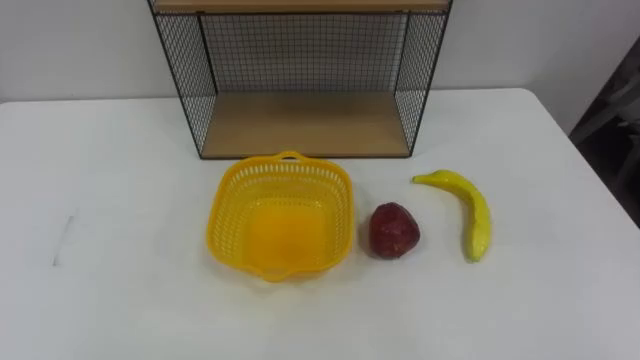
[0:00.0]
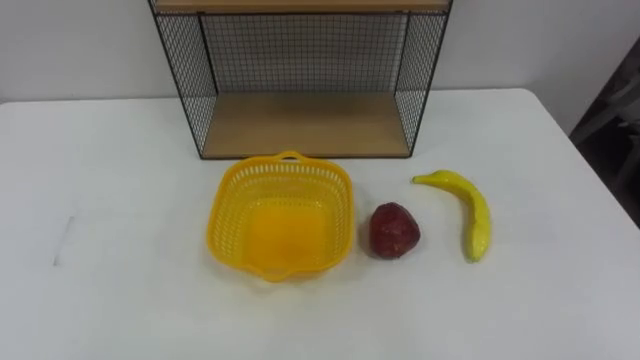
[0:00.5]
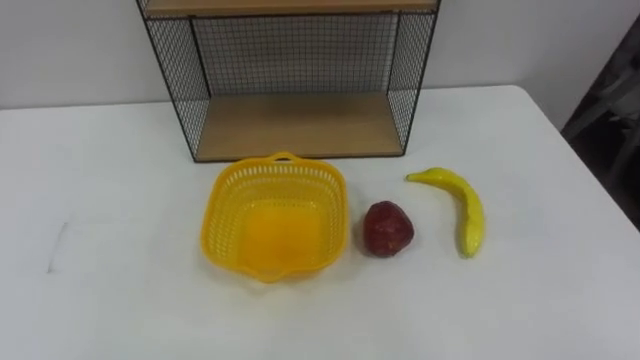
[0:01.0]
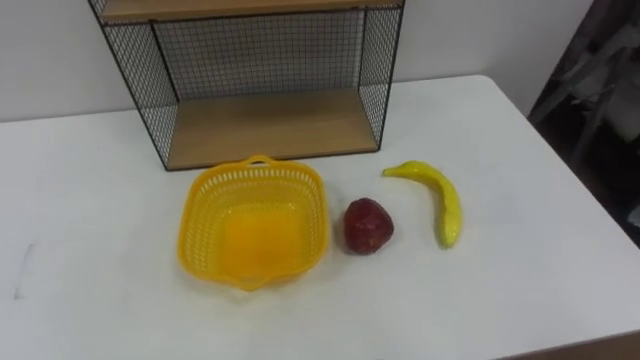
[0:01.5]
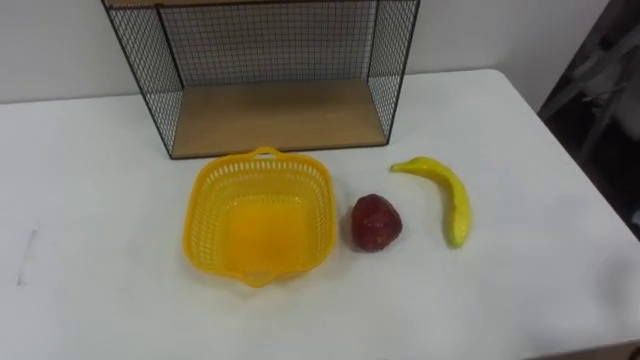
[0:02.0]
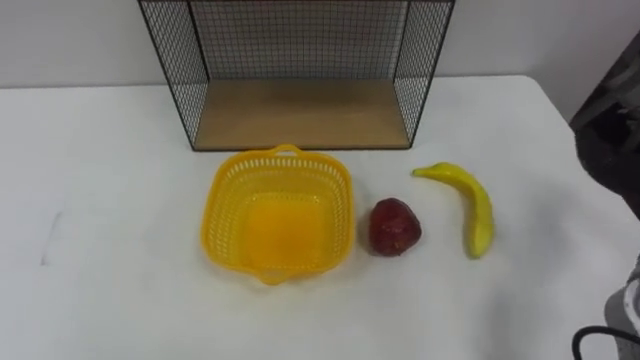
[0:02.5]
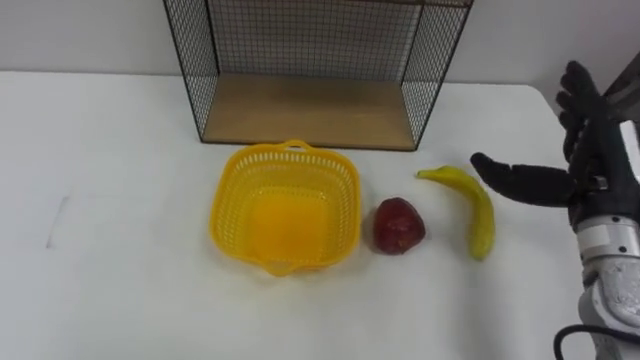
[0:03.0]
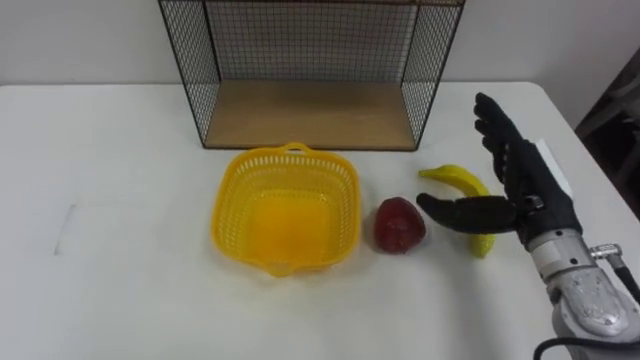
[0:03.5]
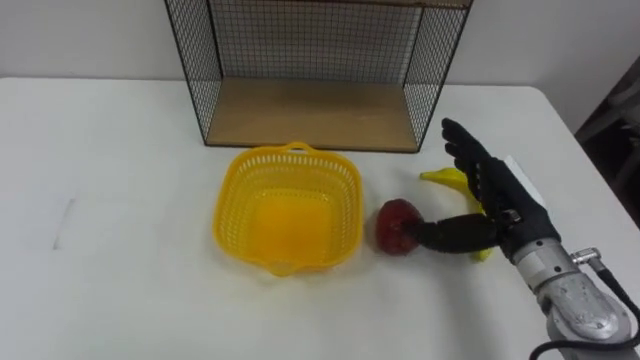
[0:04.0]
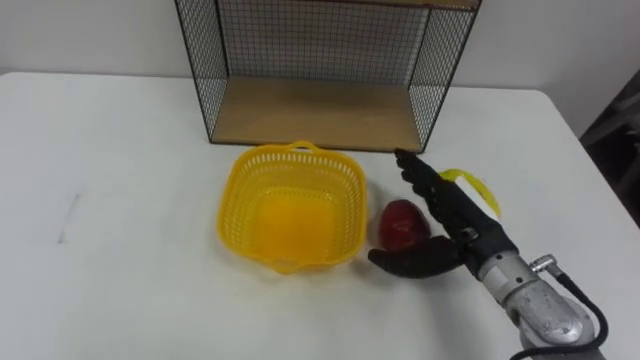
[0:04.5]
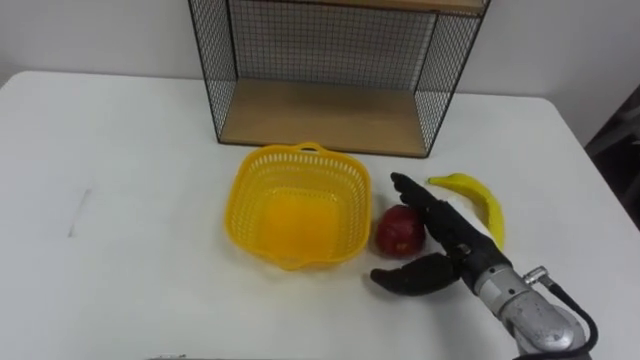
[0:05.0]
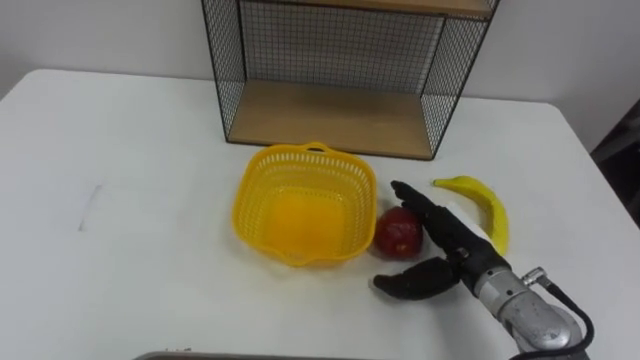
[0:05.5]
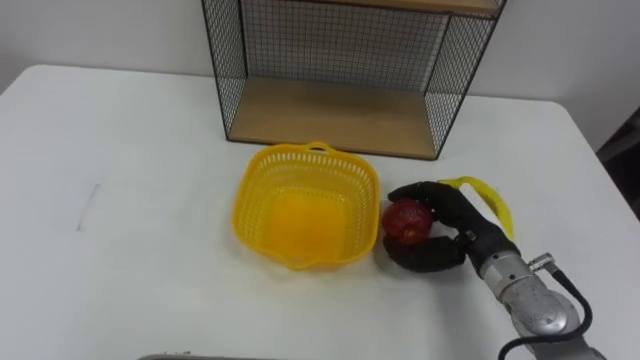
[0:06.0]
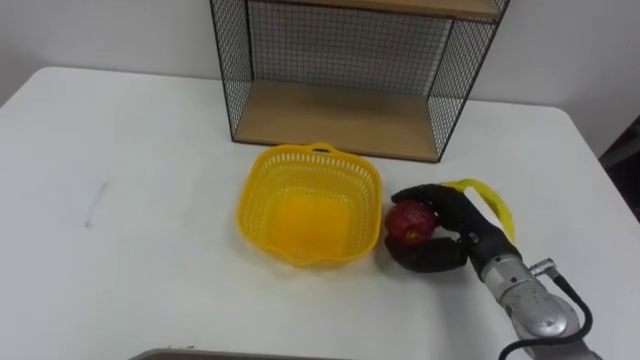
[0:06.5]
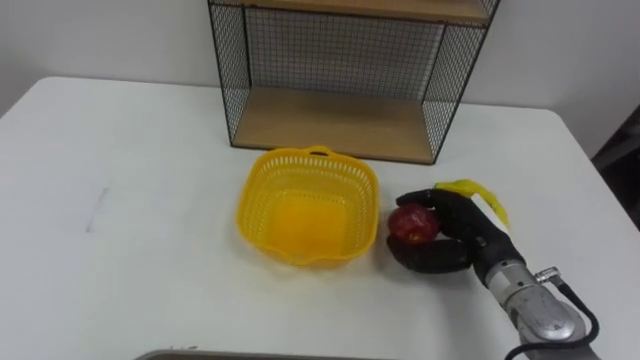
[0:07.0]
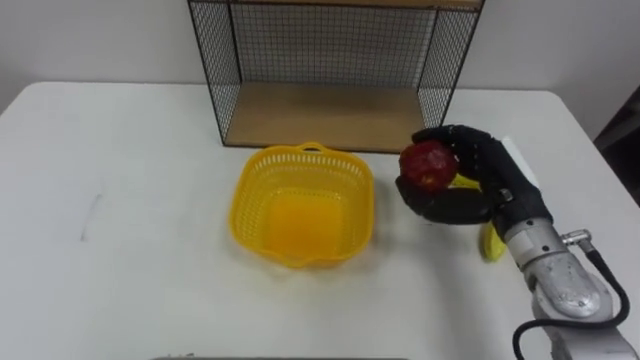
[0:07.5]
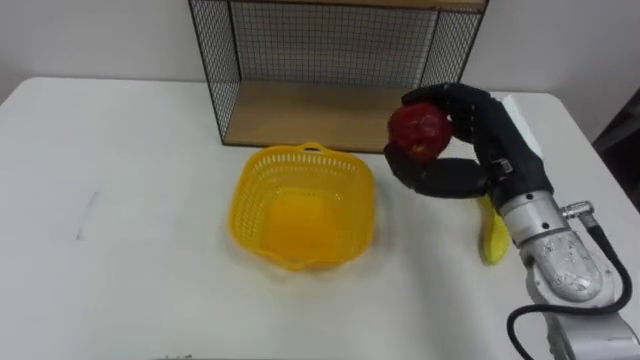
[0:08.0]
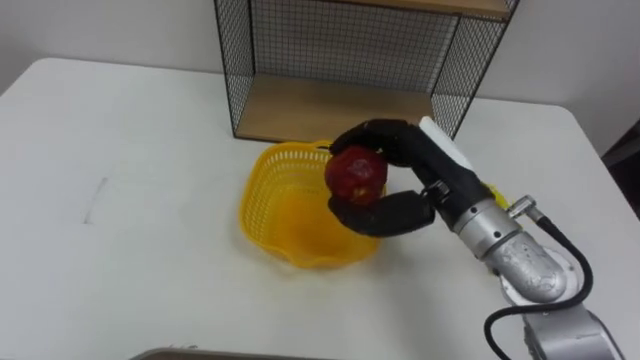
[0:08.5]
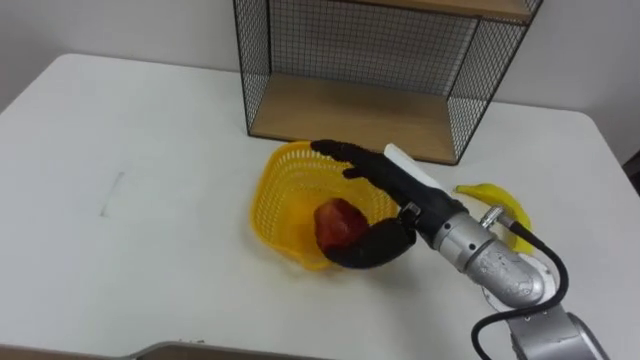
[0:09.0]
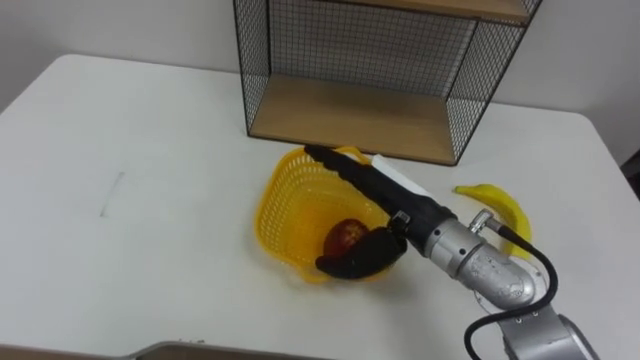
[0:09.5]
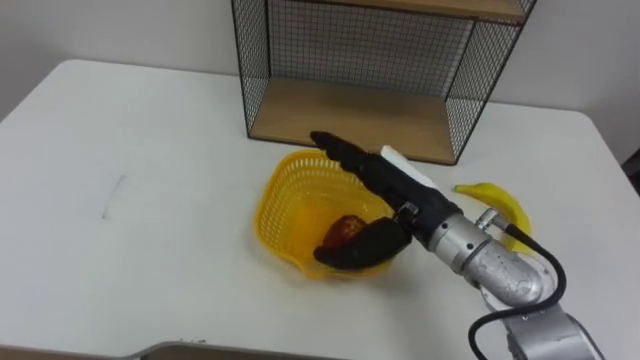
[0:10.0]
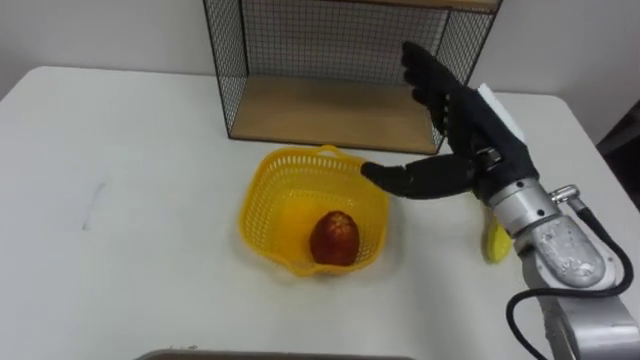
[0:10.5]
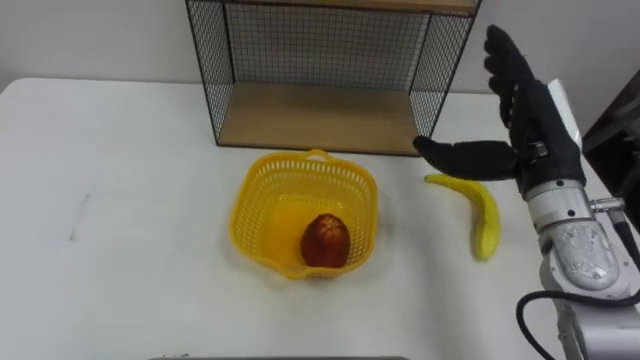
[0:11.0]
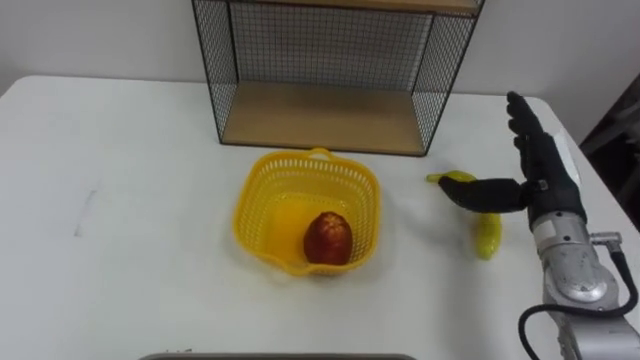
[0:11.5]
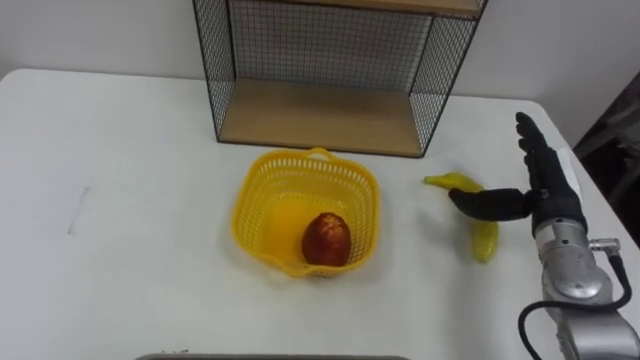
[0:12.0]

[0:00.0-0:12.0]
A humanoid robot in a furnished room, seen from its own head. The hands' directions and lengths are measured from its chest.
Task of the whole recording: Put the fruit on the table into the basket, then place the basket on the shelf.
0:04.0 to 0:06.0: The right hand heads downward, covering about 5 cm, and closes up.
0:06.0 to 0:08.0: The right hand moves upward, about 10 cm.
0:08.0 to 0:10.0: The right hand shifts about 10 cm to the left, and opens.
0:10.0 to 0:12.0: The right hand shifts some 20 cm to the right.

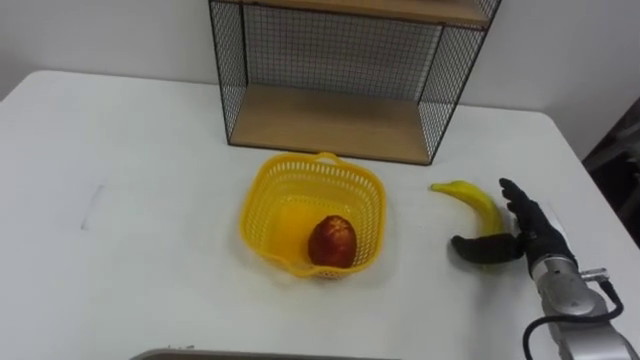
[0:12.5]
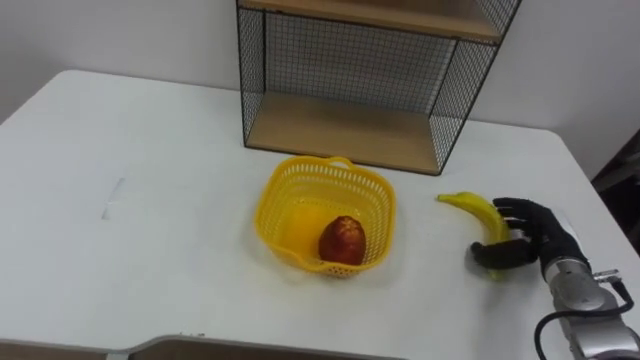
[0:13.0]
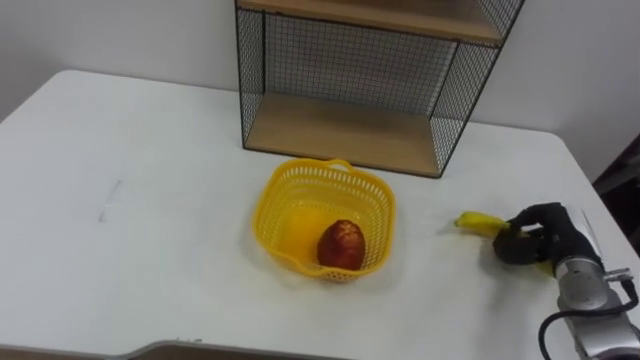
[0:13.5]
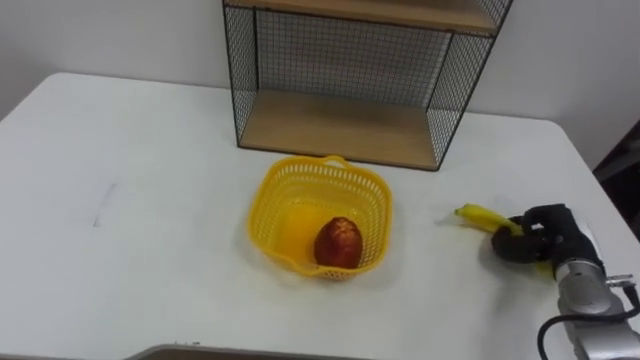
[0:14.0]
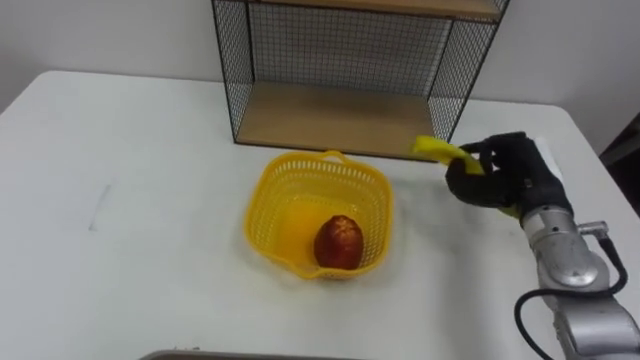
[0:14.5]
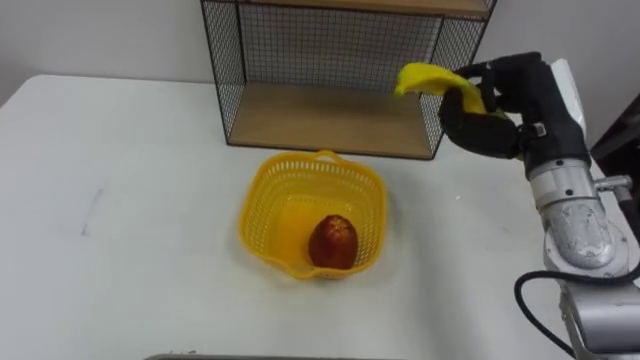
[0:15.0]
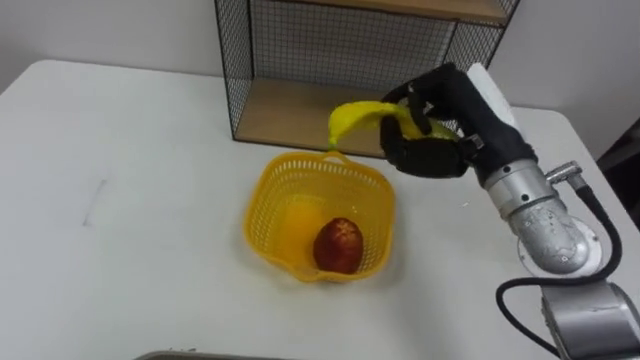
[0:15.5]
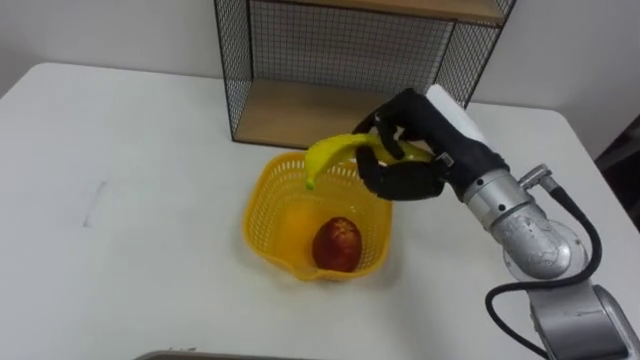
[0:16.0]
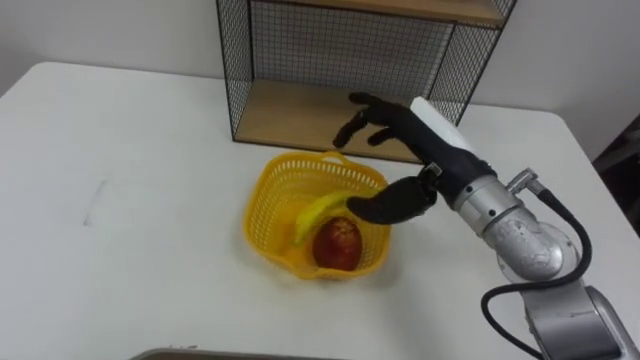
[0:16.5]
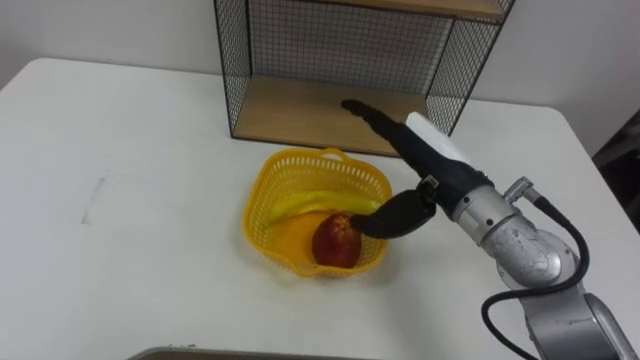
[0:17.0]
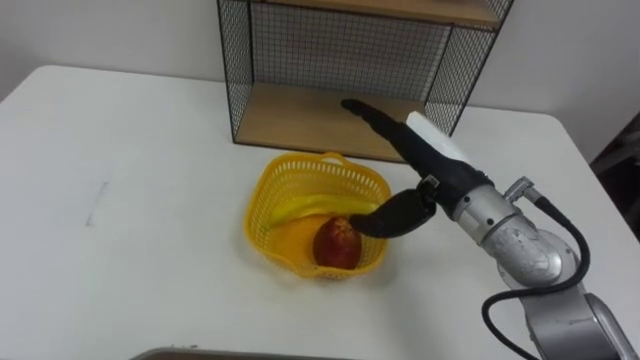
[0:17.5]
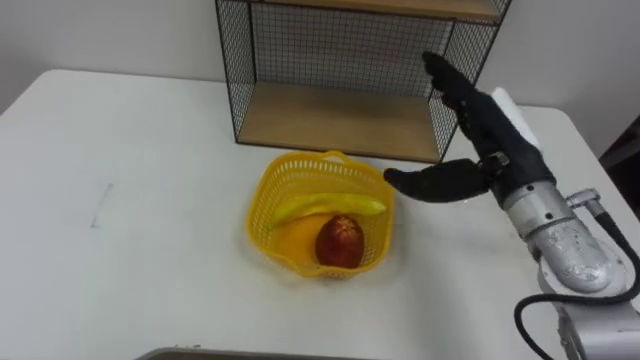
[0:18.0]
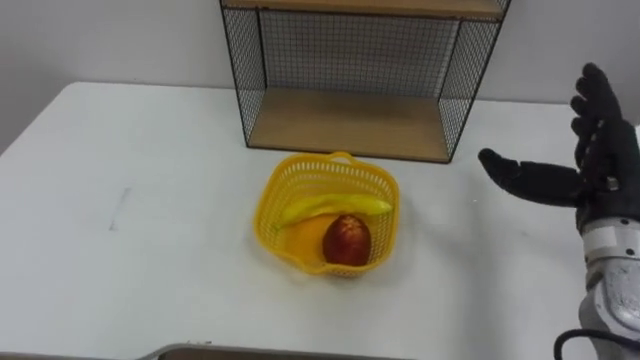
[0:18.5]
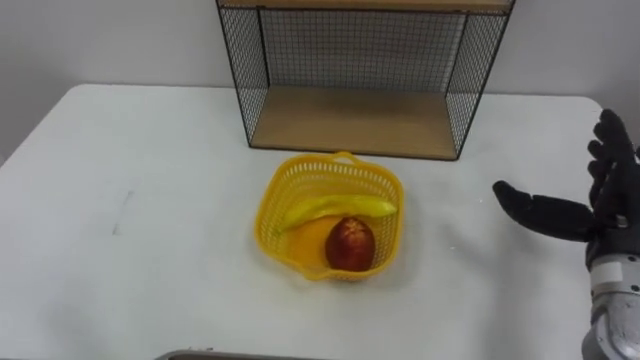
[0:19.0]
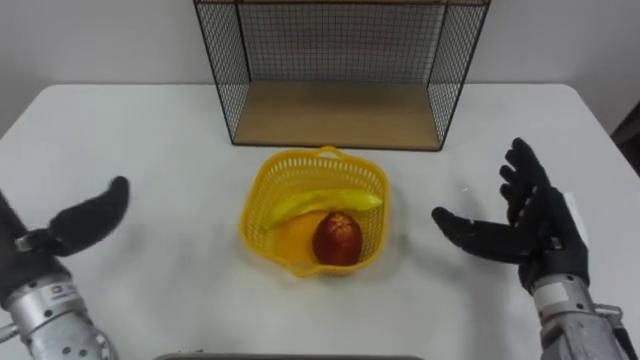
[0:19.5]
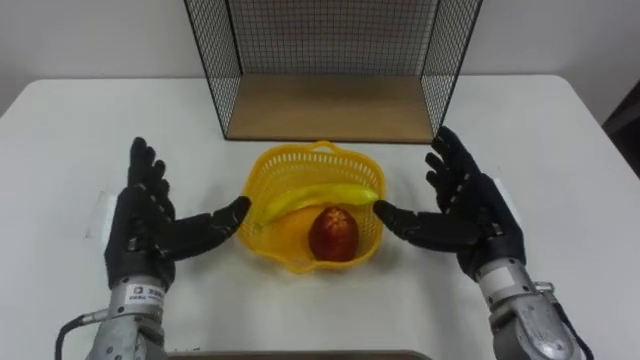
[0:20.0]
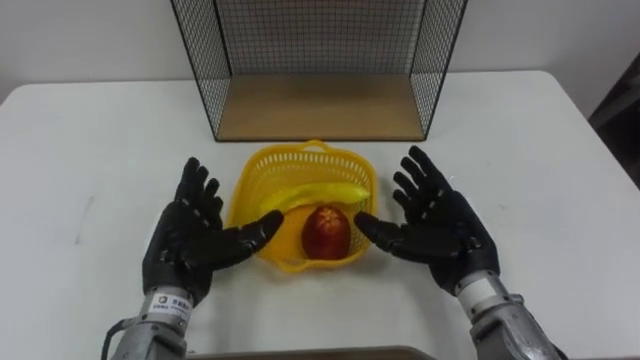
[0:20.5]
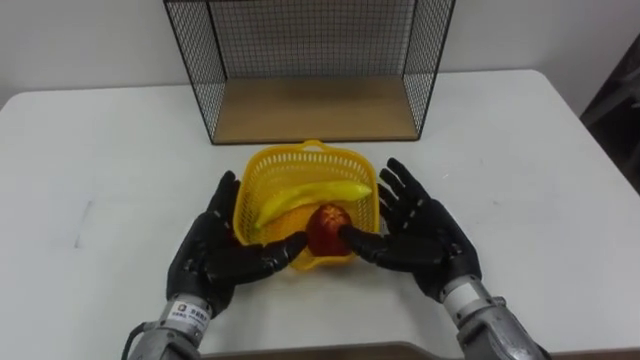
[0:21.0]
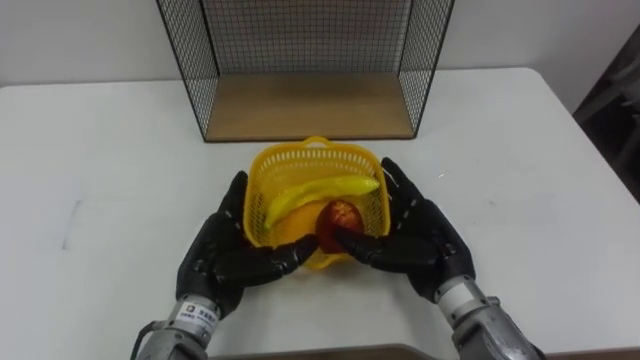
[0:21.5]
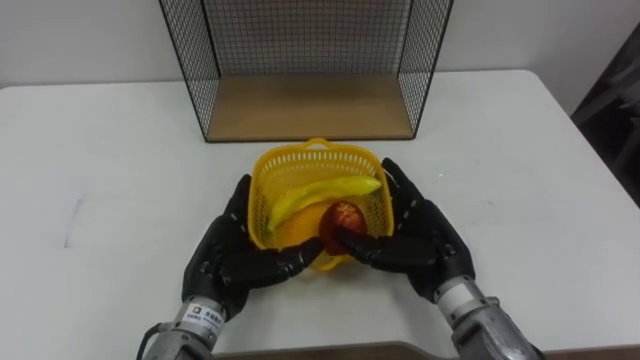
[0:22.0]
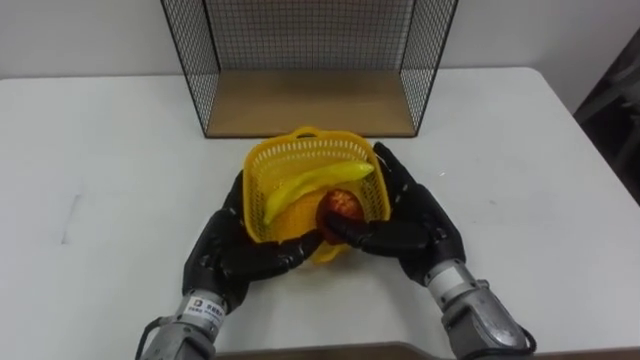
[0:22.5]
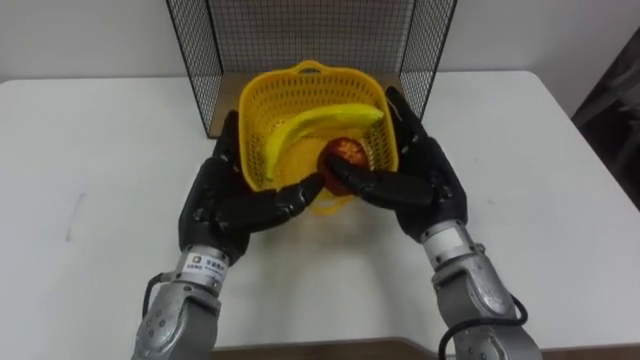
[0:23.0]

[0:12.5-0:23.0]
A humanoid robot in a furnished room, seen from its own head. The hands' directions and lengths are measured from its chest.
Task of the whole recording: Put the fruit on the table into the basket, then place the basket on the shelf.
0:12.5 to 0:14.5: The right hand moves upward, about 10 cm, and closes up.
0:14.5 to 0:16.5: The right hand heads to the left and upward, covering approximately 15 cm, and opens.
0:16.5 to 0:19.0: The right hand travels to the right by some 20 cm.
0:19.0 to 0:21.0: The right hand shifts about 20 cm to the left and downward.
0:21.0 to 0:23.0: Both hands move upward, some 5 cm.
